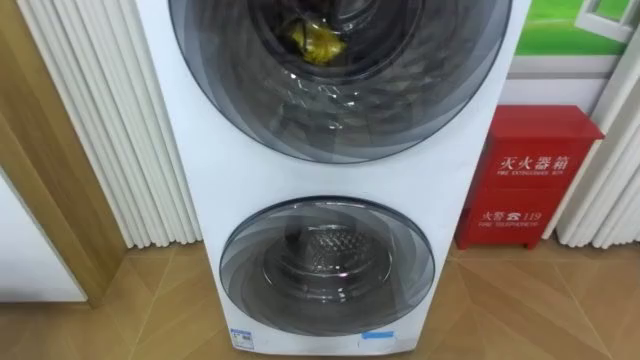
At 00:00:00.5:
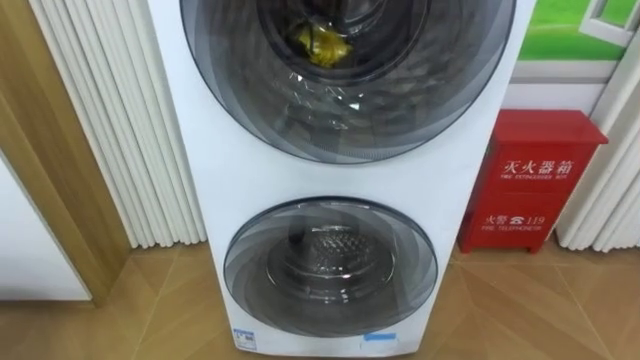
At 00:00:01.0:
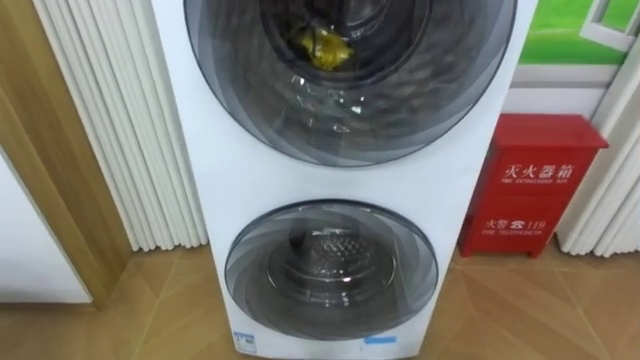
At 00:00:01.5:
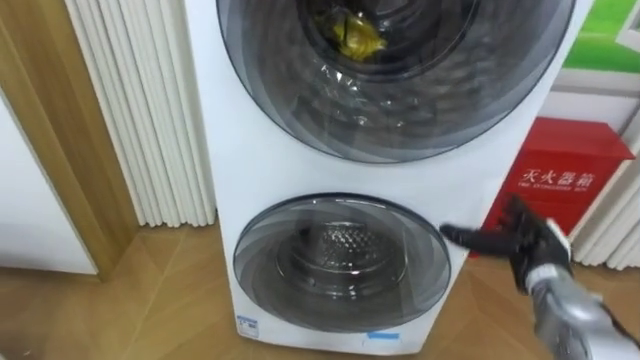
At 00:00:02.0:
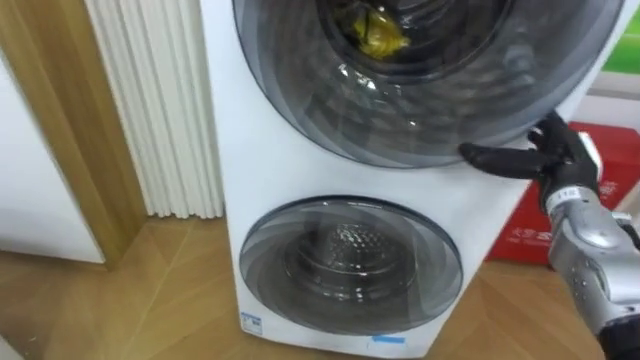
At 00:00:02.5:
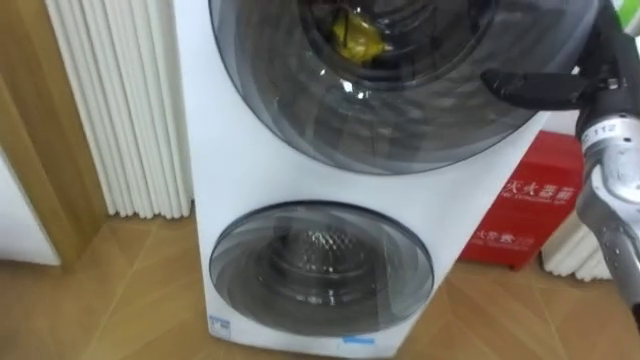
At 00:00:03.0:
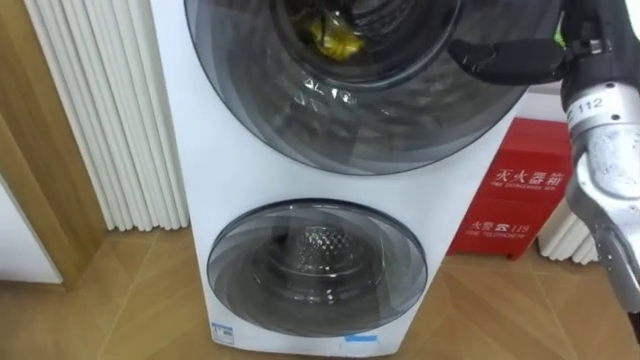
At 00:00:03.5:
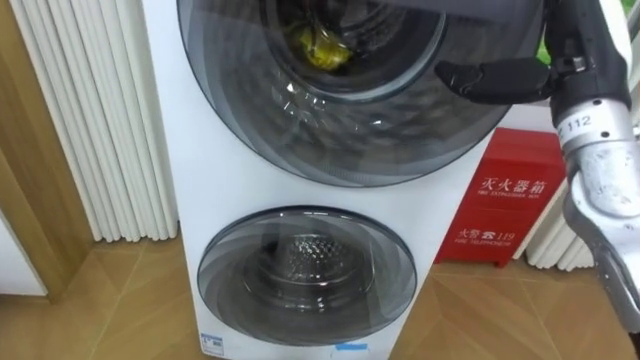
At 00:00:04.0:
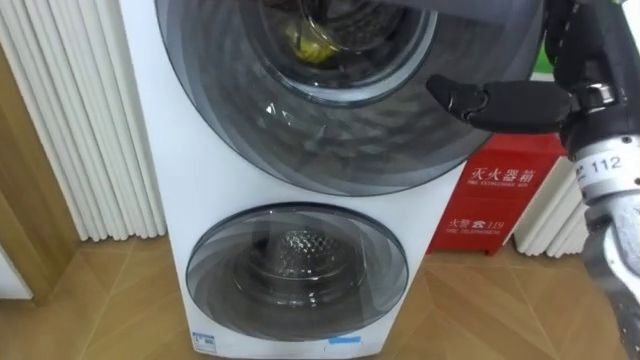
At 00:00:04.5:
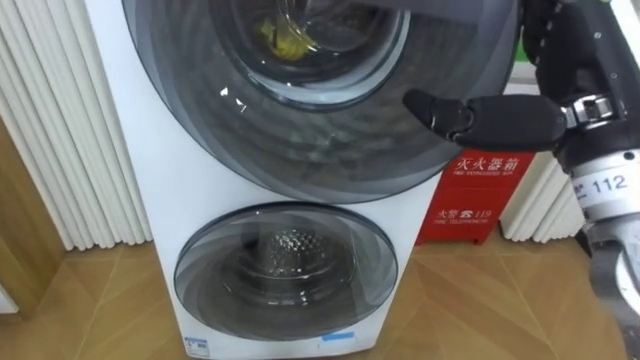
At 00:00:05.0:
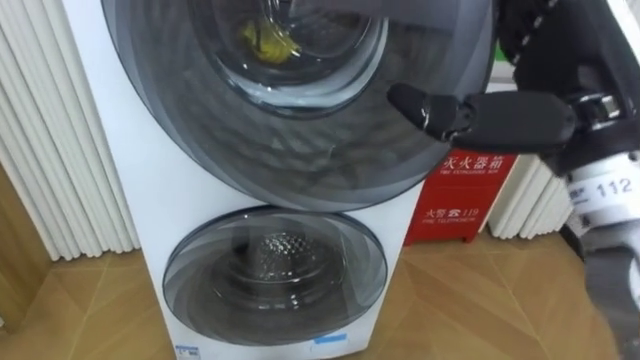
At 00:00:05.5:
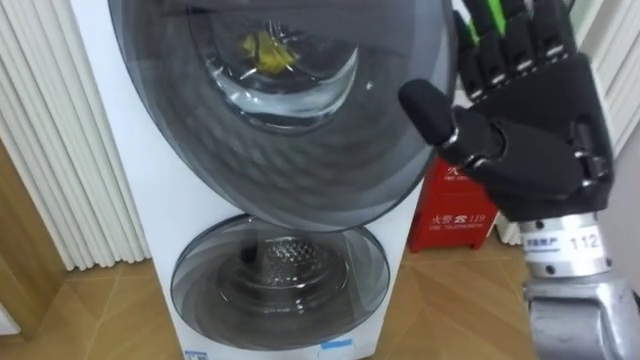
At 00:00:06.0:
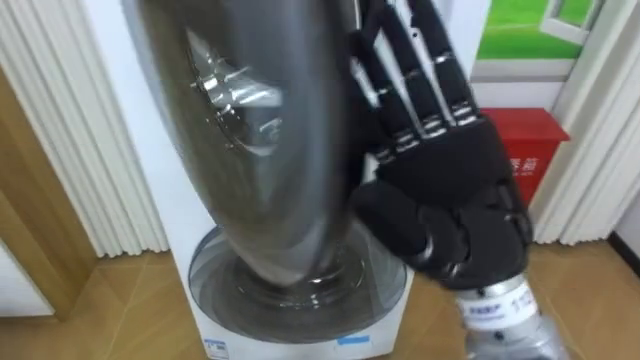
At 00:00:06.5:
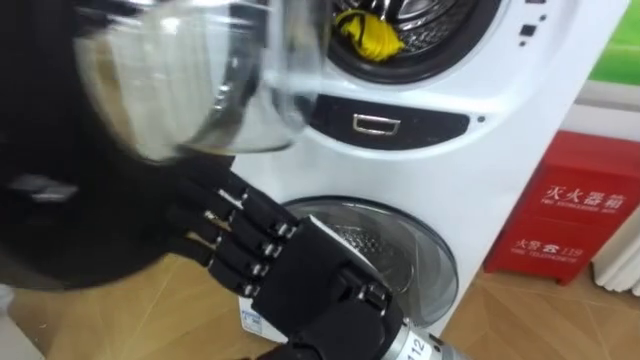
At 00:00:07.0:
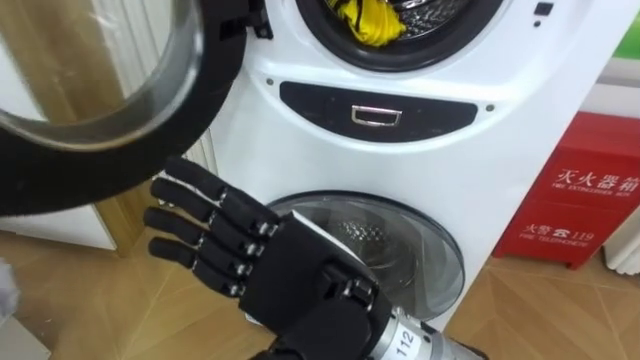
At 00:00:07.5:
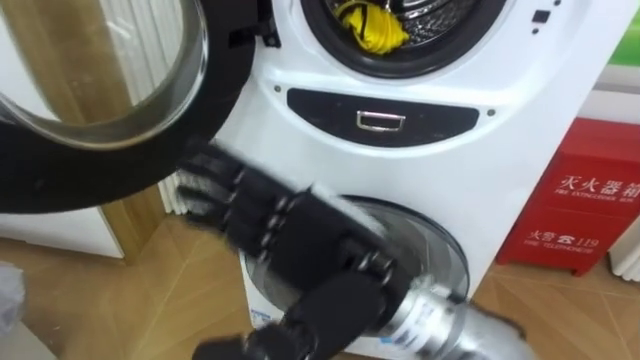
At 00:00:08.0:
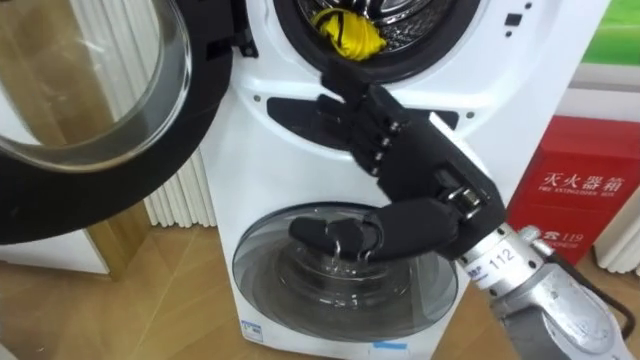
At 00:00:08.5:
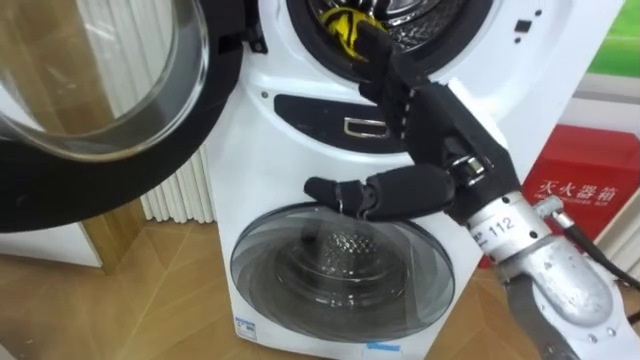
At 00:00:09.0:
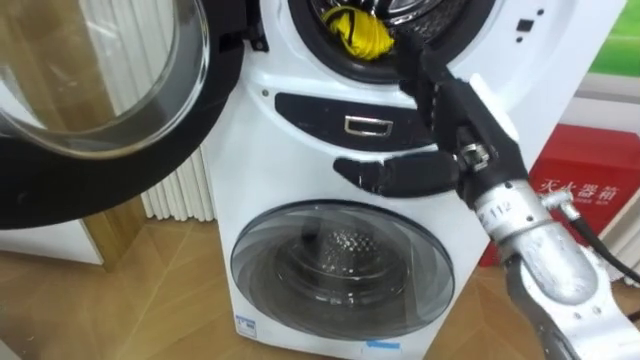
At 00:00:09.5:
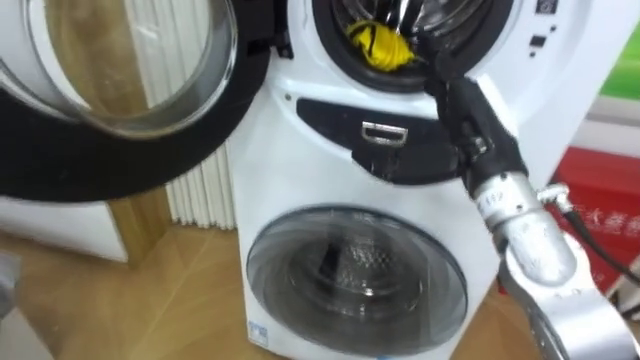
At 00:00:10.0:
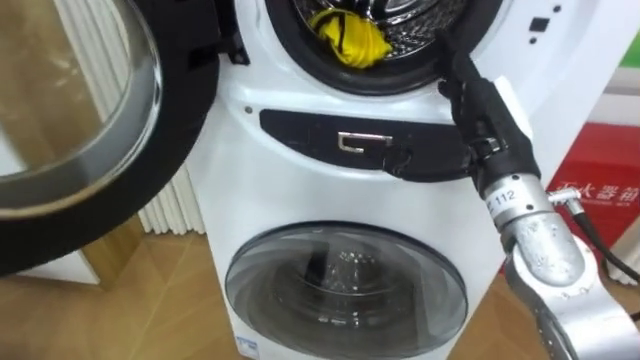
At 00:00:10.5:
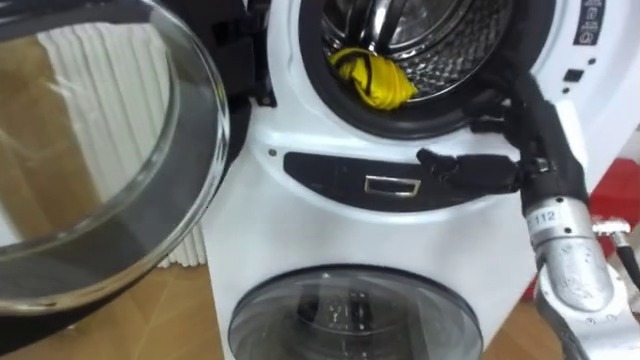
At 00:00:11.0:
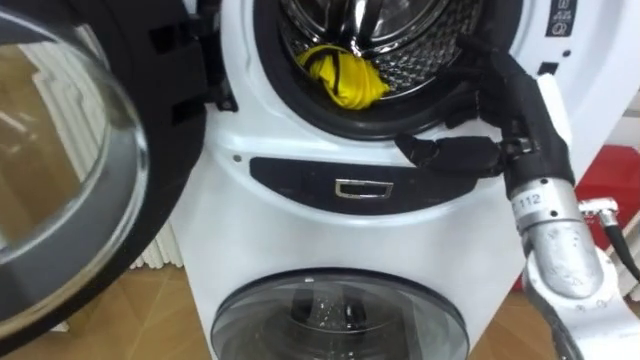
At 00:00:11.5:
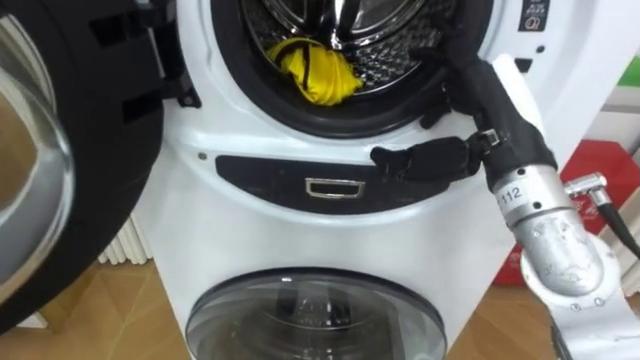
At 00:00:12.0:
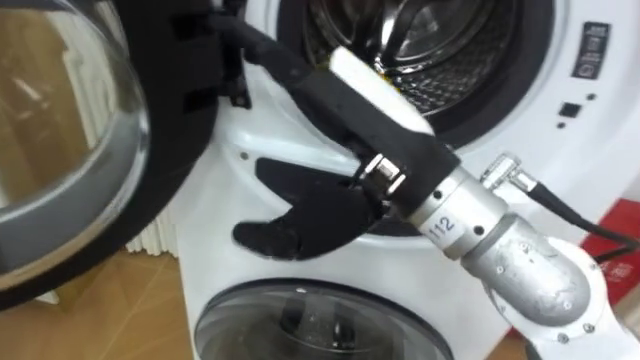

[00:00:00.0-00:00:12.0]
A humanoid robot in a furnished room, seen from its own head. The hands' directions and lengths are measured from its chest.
Task of the whole recording: Open the washing machine door, take out the yellow clothes, place them in the box on the right, and close the washing machine door.
00:00:02.0 to 00:00:04.0: The right hand moves upward, backward and to the left, some 20 cm.
00:00:04.0 to 00:00:06.0: The right hand shifts roughly 15 cm to the left and backward.
00:00:06.0 to 00:00:08.0: The right hand goes to the left and returns, approximately 10 cm each way.
00:00:08.0 to 00:00:10.0: The right hand heads forward and to the right, covering about 10 cm.
00:00:10.0 to 00:00:12.0: The right hand heads to the left, backward and upward, covering some 20 cm.

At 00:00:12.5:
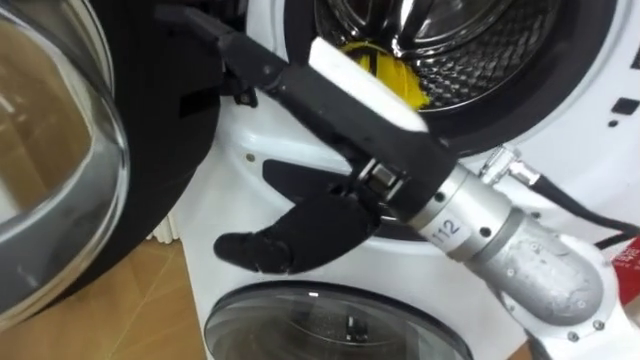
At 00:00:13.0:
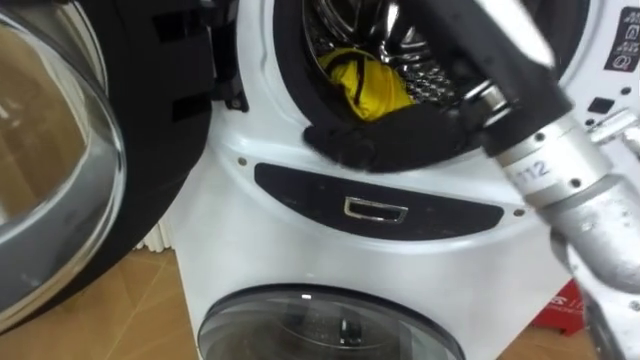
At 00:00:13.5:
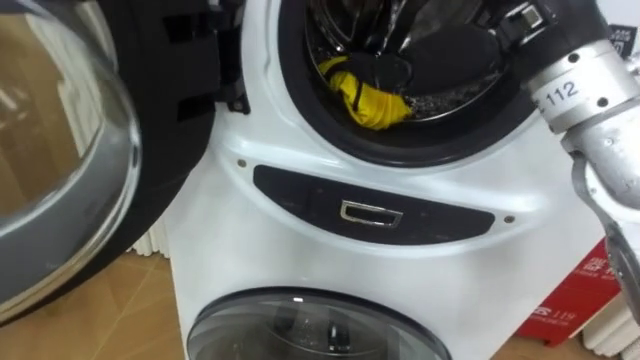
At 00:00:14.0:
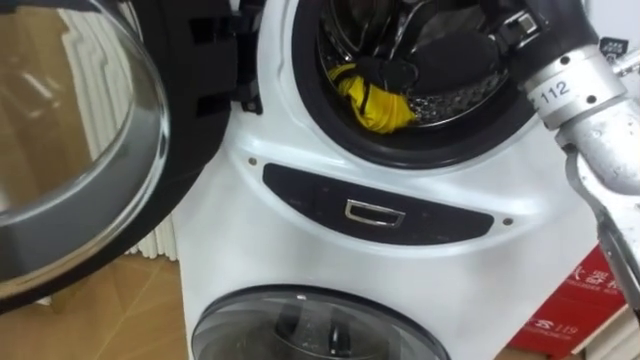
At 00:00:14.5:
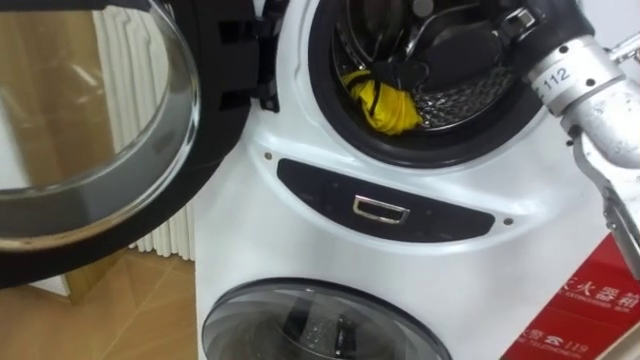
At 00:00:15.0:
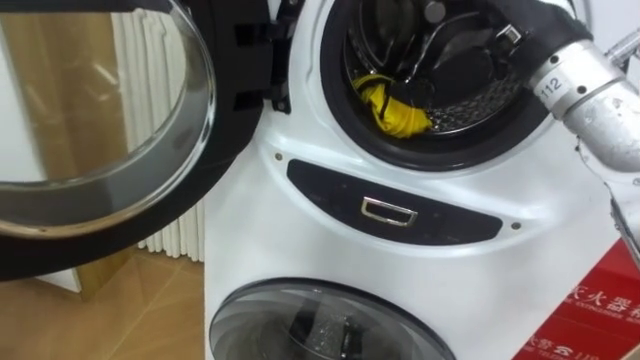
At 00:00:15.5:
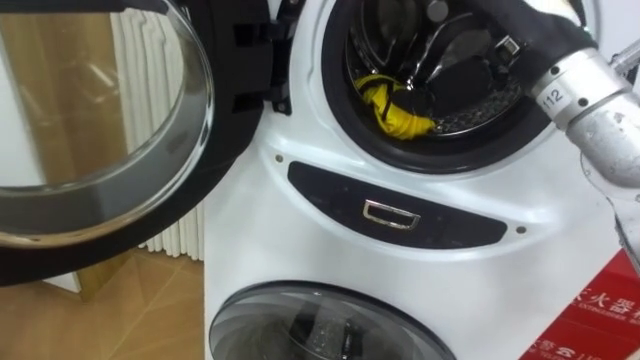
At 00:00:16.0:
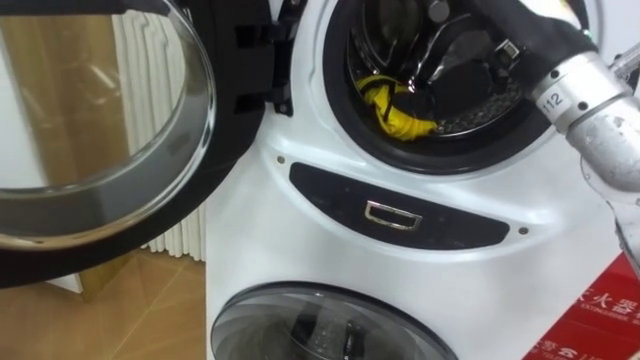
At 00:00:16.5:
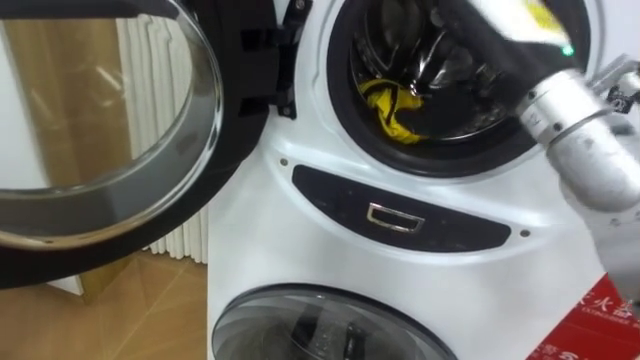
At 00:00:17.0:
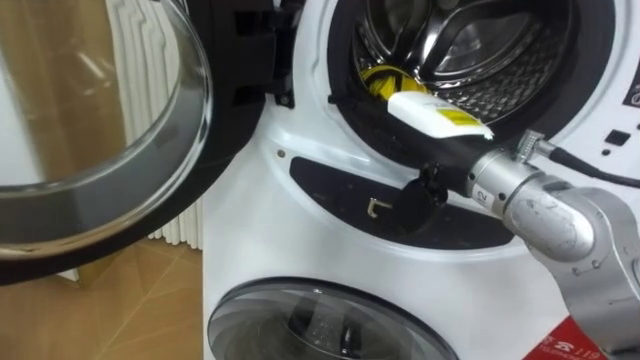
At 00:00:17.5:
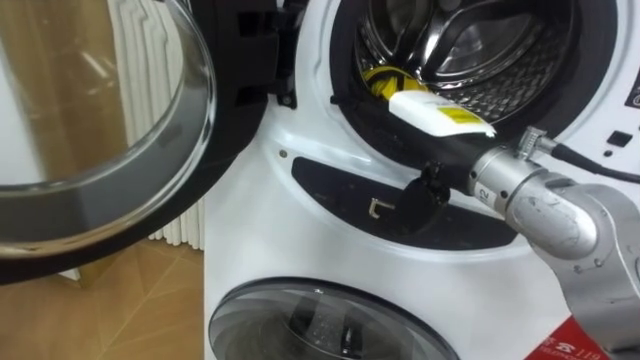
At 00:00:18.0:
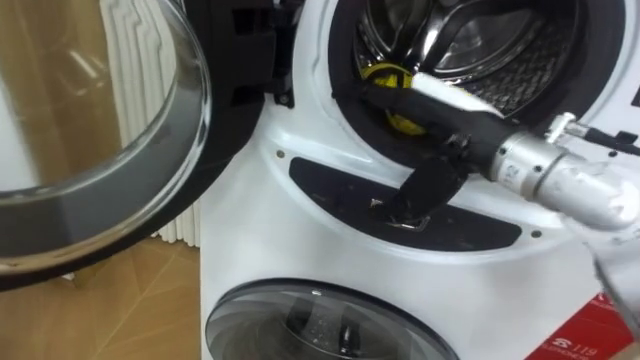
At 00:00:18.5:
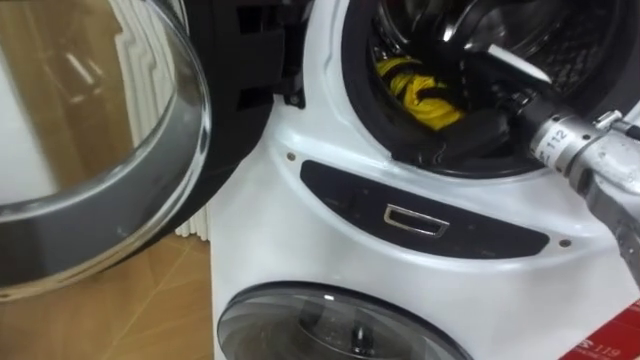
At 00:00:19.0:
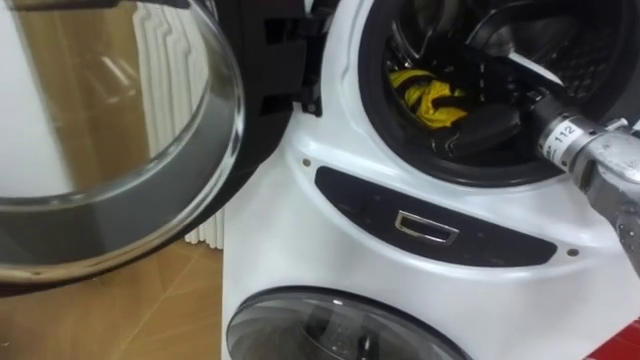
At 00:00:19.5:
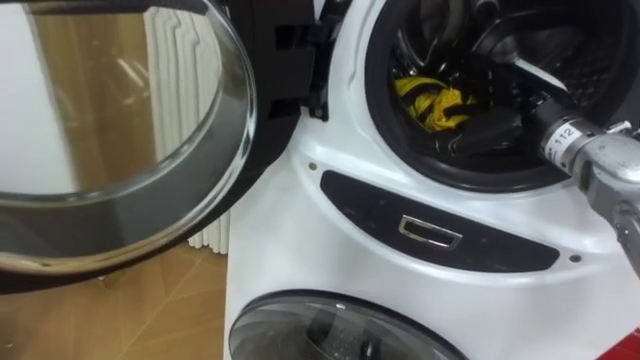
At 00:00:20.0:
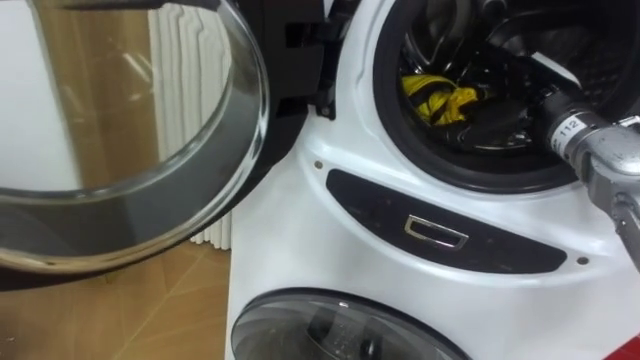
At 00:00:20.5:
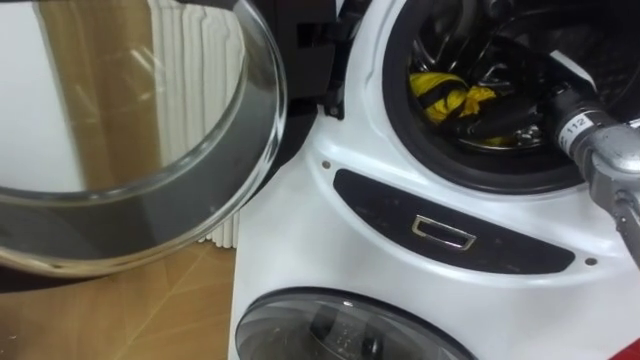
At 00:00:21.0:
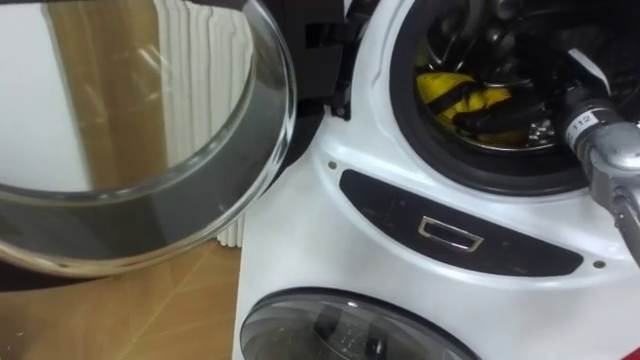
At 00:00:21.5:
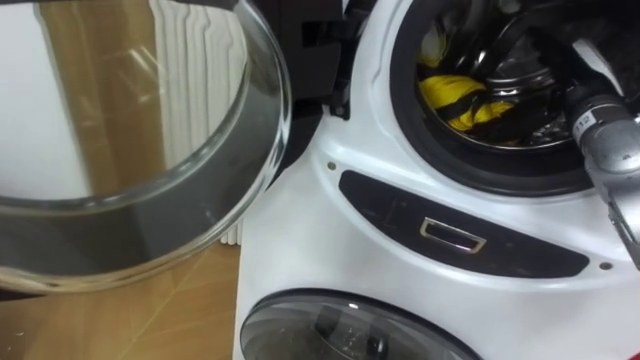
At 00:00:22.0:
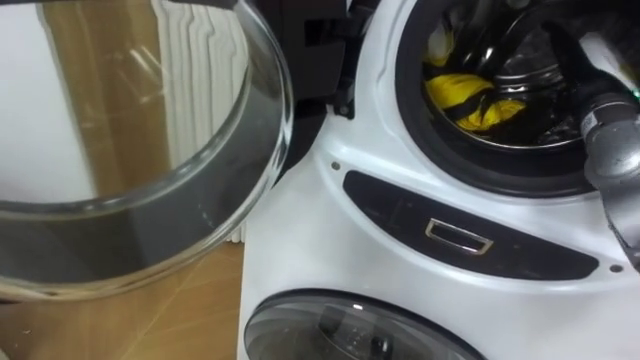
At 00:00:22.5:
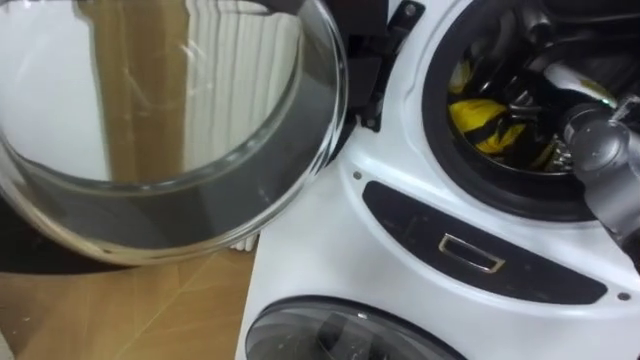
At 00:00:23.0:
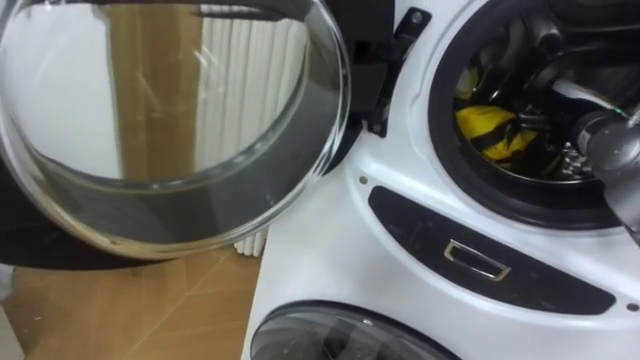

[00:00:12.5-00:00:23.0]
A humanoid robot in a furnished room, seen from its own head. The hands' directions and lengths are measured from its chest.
Task of the whole recording: Open the washing machine door, take out the yellow clothes, place them in the box on the right, and close the washing machine door.
00:00:16.5 to 00:00:19.0: The right hand moves downward, to the right and forward, roughly 10 cm.
00:00:19.0 to 00:00:21.0: The right hand is displaced to the right by roughly 5 cm.
